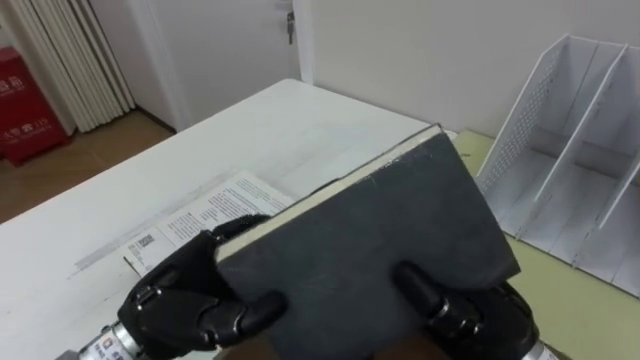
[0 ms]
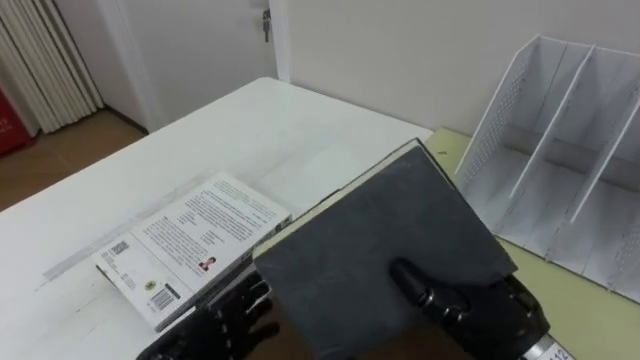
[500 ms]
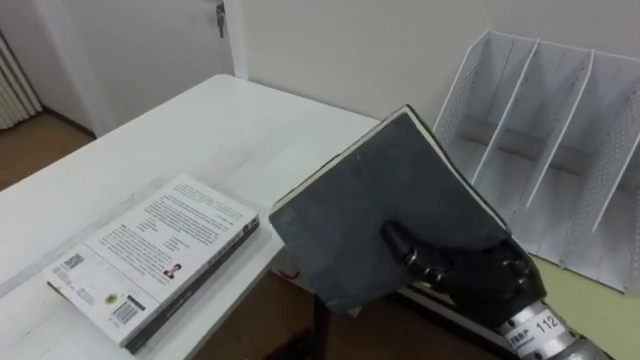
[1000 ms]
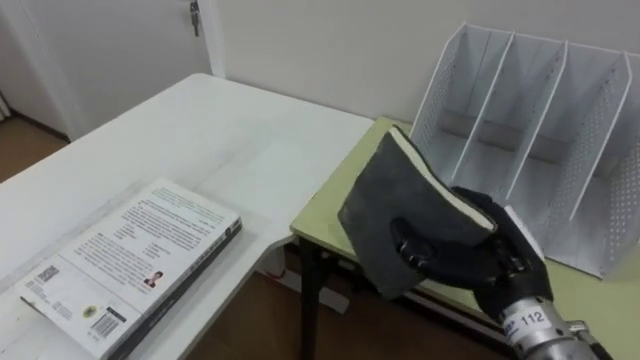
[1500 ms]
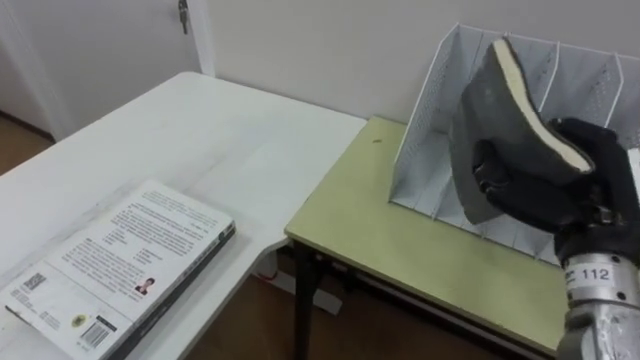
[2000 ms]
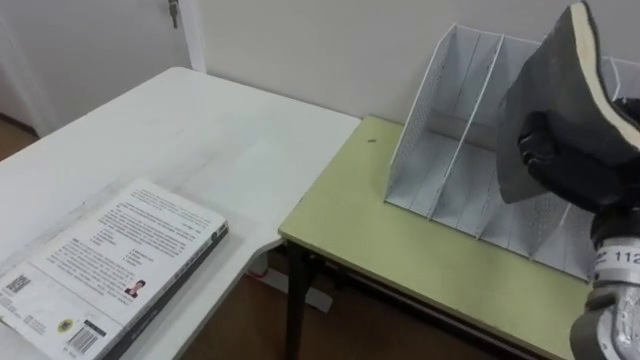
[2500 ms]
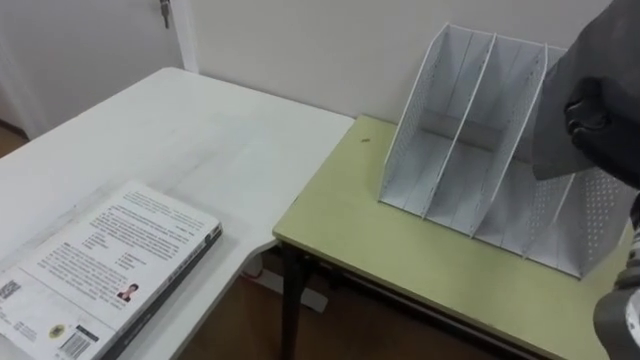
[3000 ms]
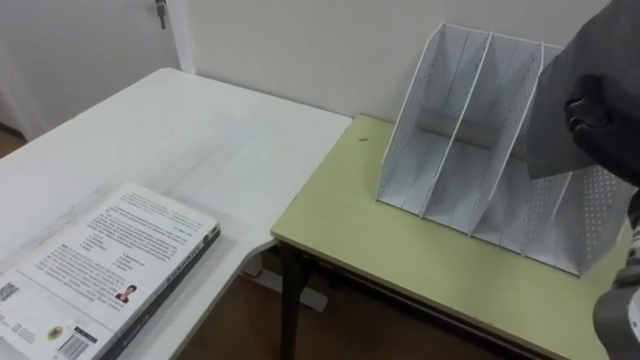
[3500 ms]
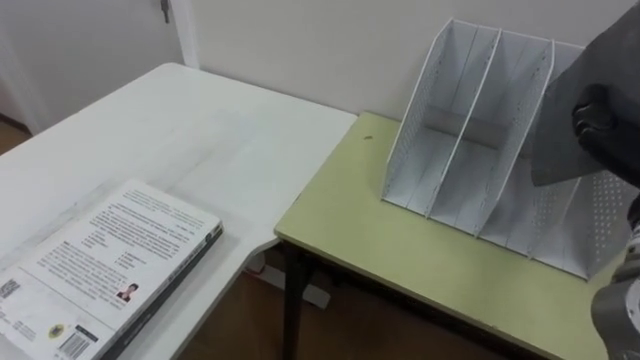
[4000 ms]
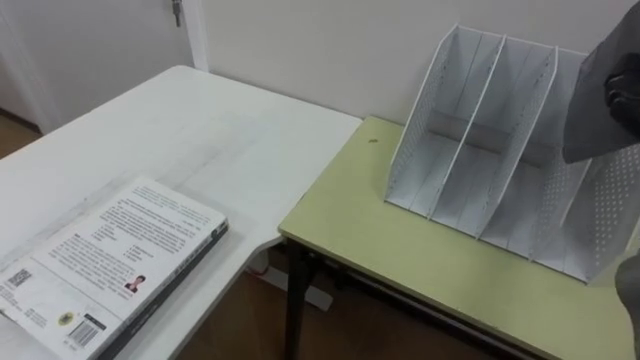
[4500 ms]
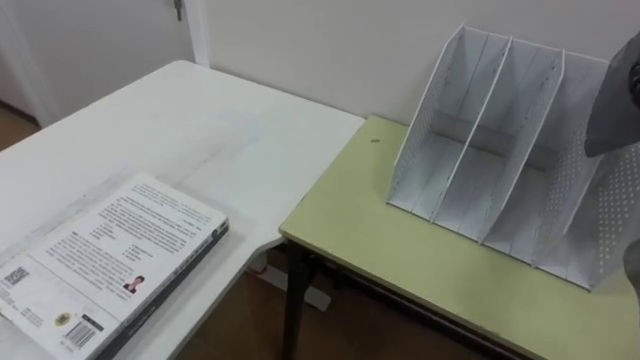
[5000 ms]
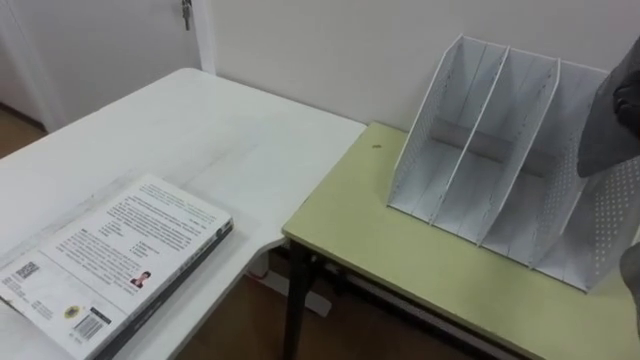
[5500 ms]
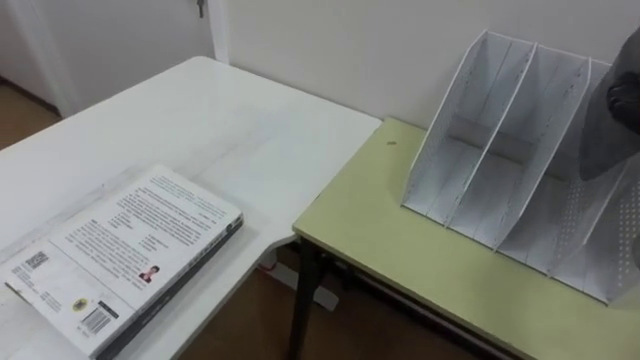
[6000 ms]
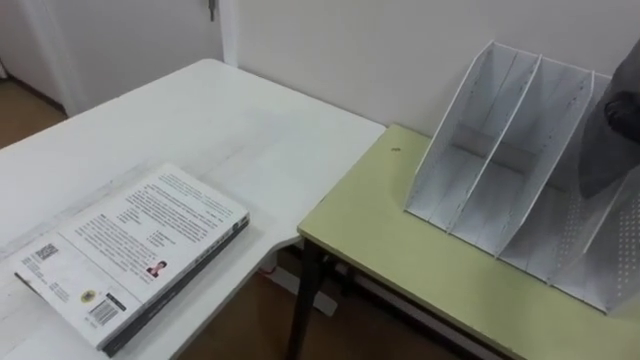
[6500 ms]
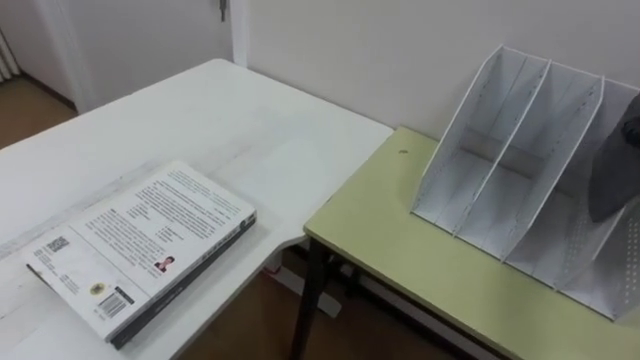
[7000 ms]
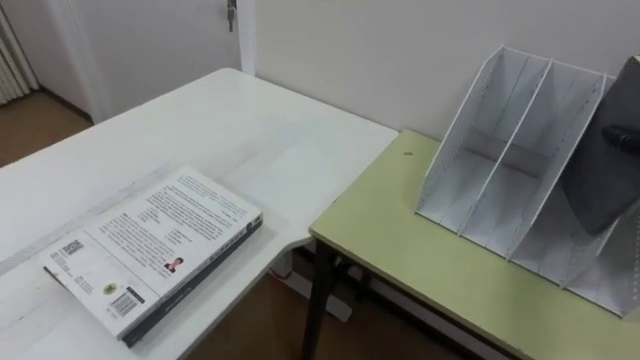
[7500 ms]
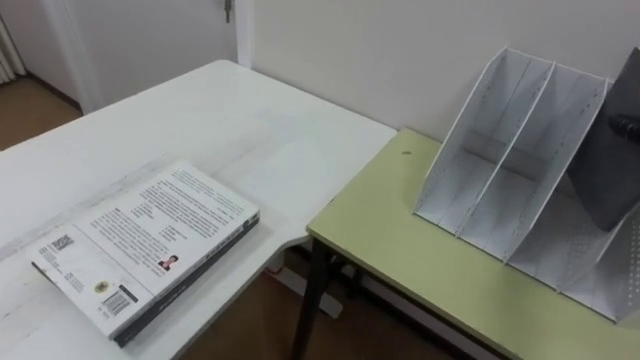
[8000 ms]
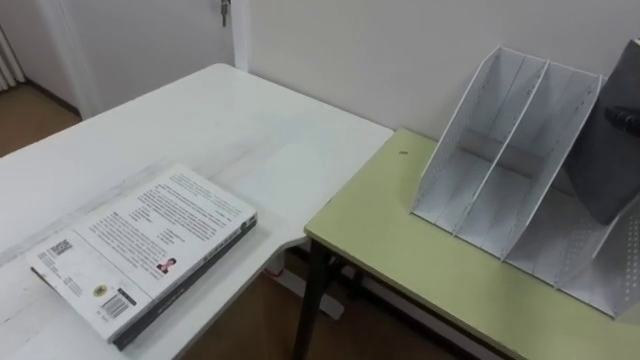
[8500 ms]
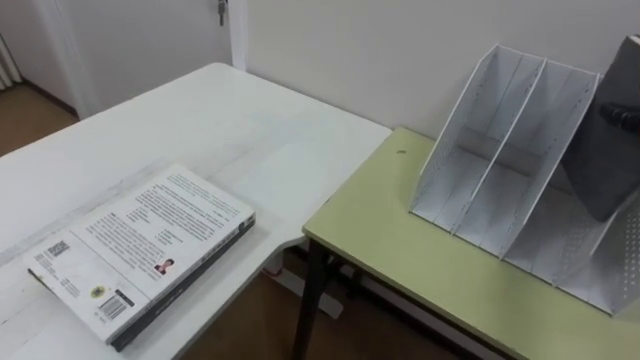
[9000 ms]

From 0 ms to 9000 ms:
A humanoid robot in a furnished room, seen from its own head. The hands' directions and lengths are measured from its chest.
Task of the whole recording: Put the books on the table onto the bookshelf.
From 0 ms to 2000 ms: The right hand is displaced to the right, forward and upward by approximately 15 cm.

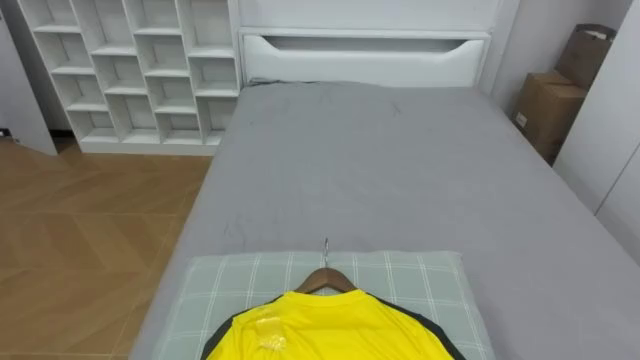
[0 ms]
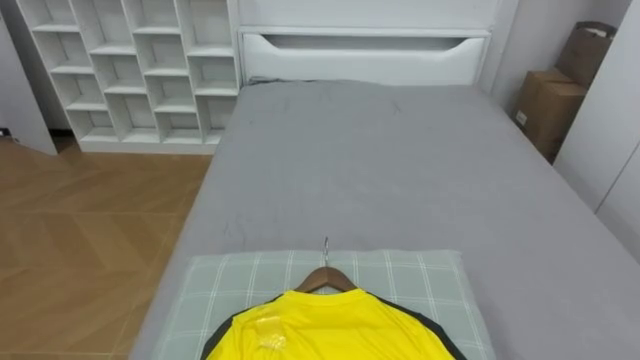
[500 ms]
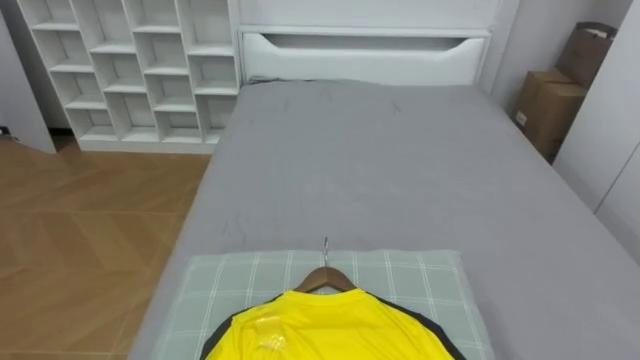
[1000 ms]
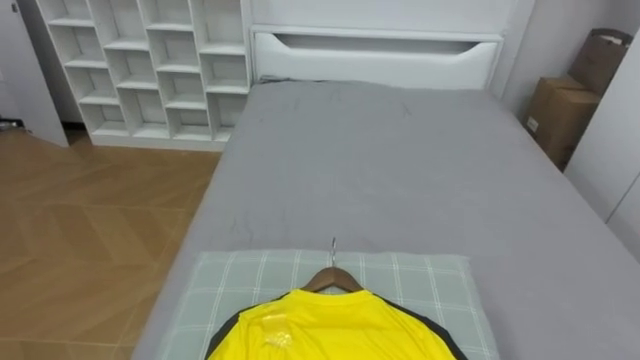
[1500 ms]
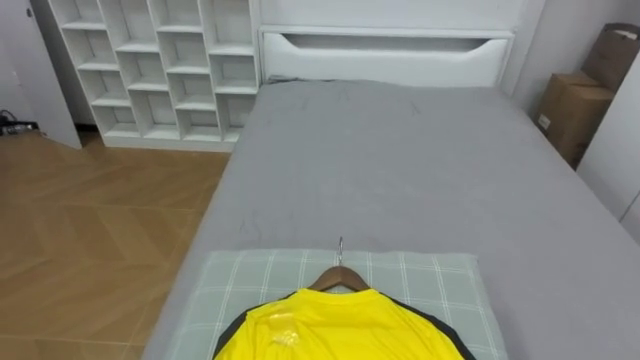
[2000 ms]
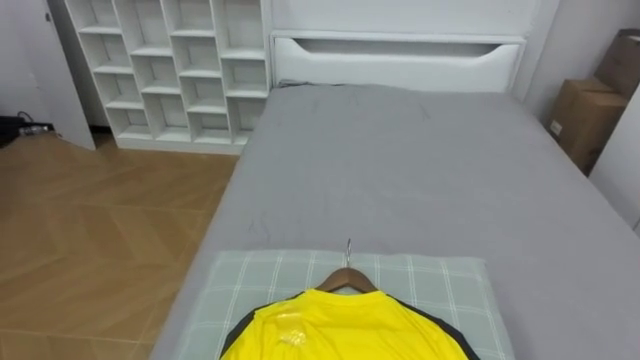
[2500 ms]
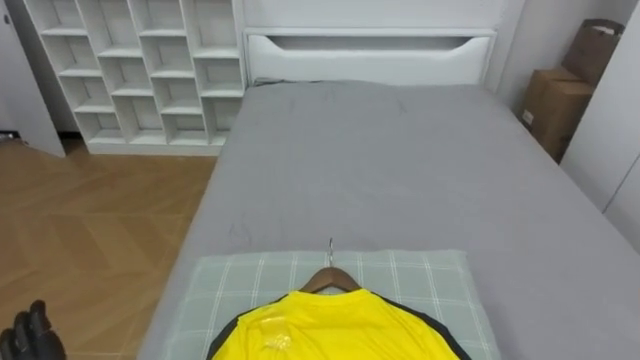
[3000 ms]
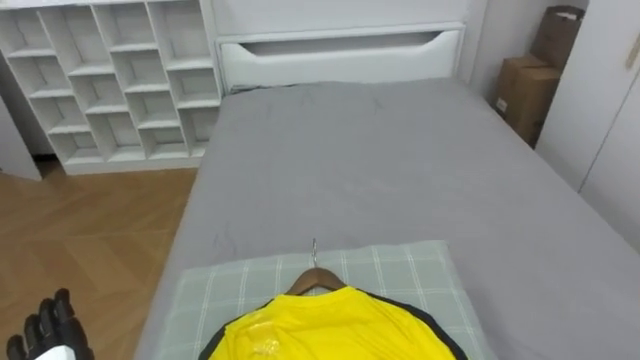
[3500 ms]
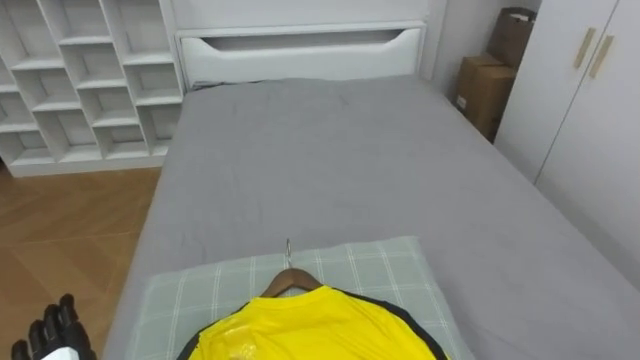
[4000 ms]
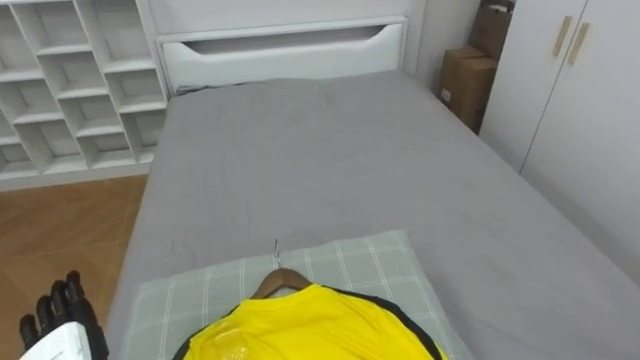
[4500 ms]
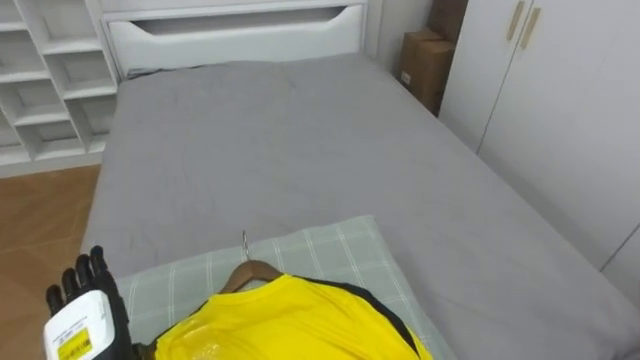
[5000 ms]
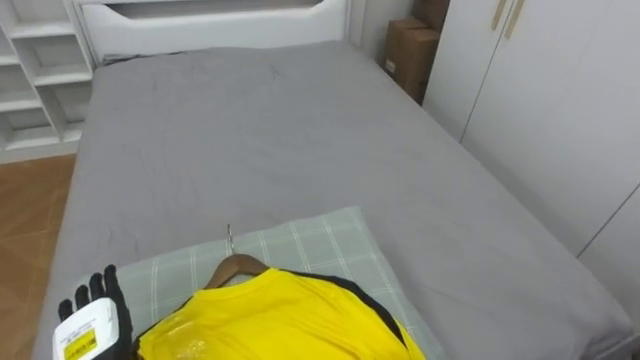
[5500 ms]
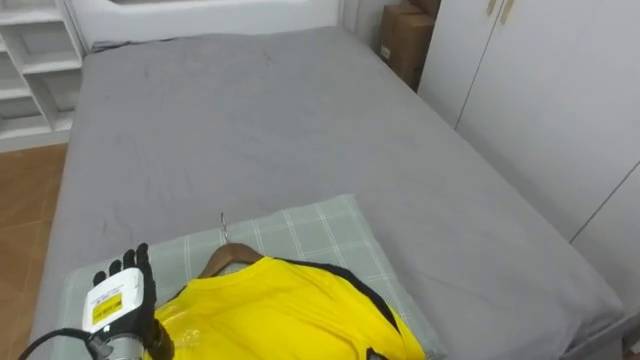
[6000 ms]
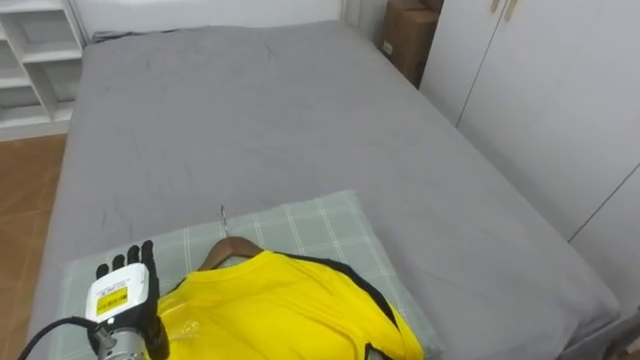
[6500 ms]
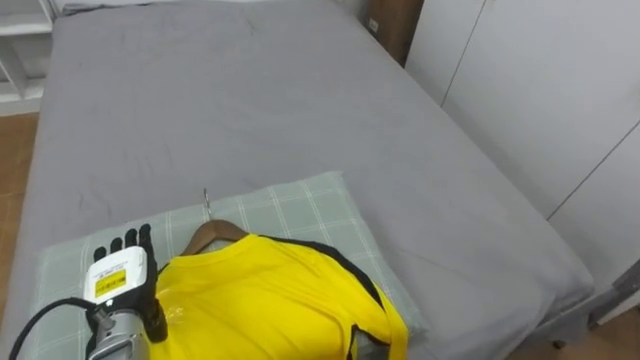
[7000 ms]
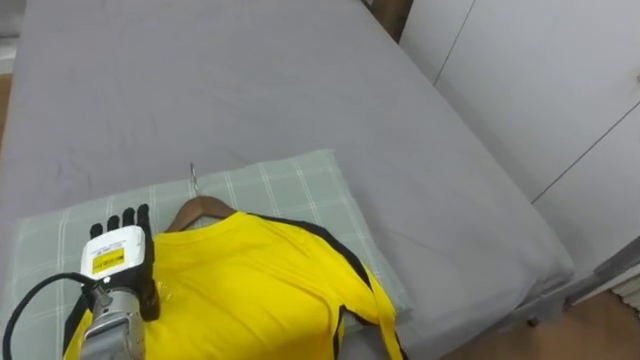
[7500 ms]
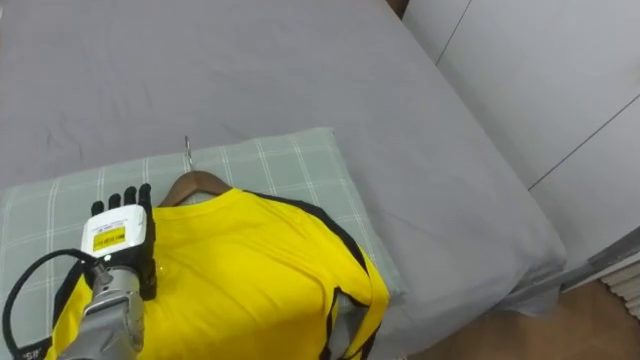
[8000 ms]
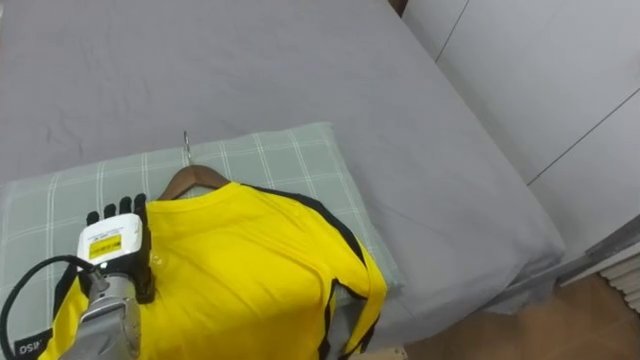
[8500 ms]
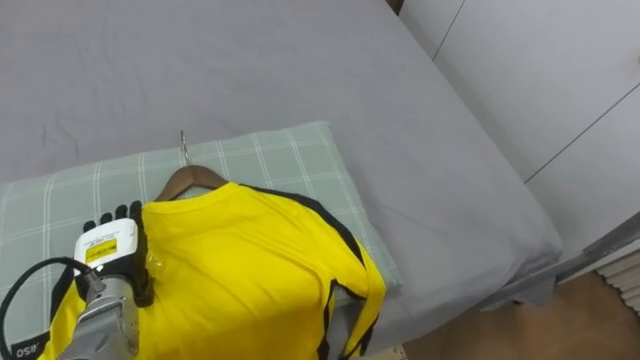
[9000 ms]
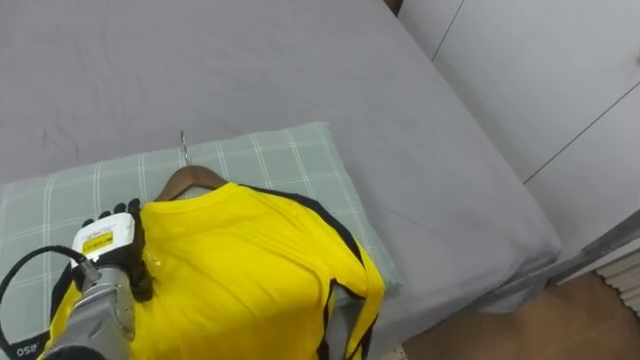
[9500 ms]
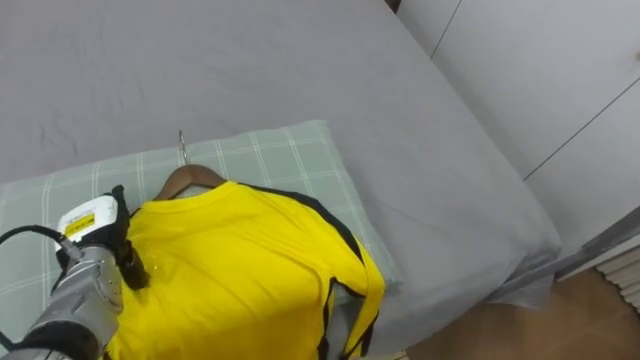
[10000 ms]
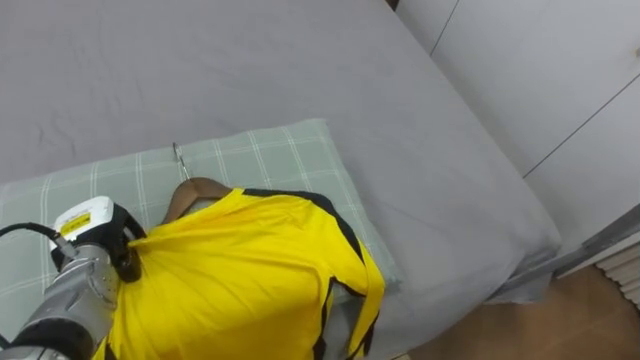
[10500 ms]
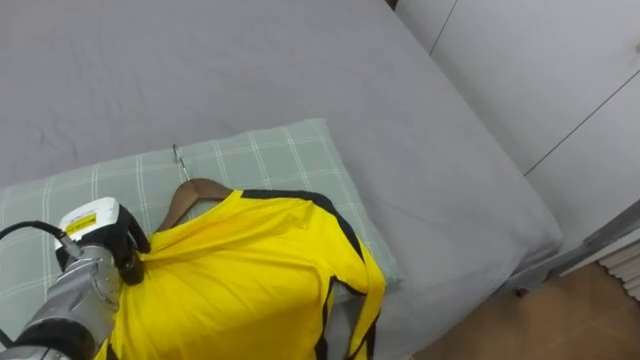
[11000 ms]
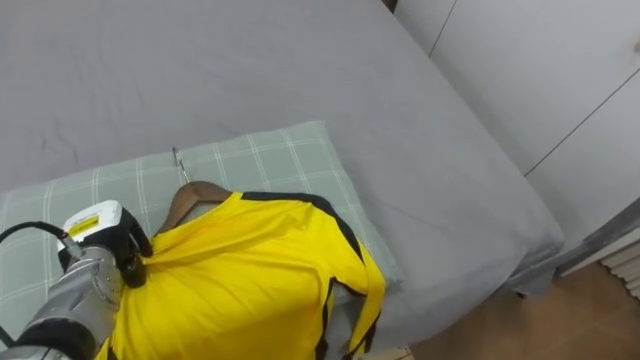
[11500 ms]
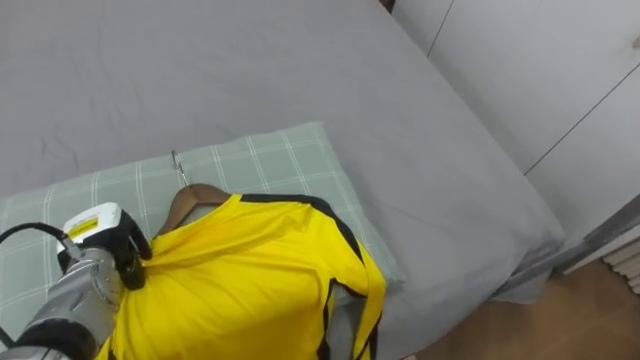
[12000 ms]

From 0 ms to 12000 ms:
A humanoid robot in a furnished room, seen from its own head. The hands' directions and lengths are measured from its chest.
Task of the whole recording: Pick up the yellow shirt on the bed and hang it on the clothes rack on the right.
From 6000 ms to 8000 ms: The left hand moves forward and upward, some 10 cm.
From 10000 ms to 12000 ms: The left hand closes.
